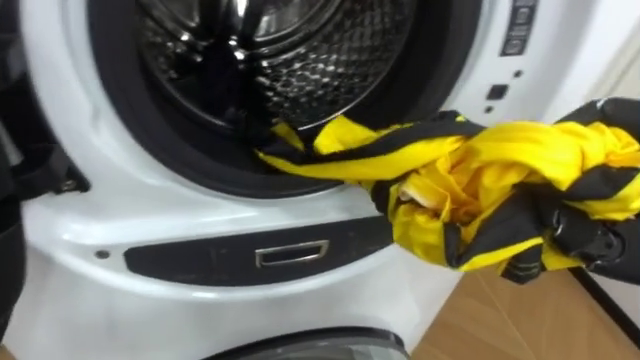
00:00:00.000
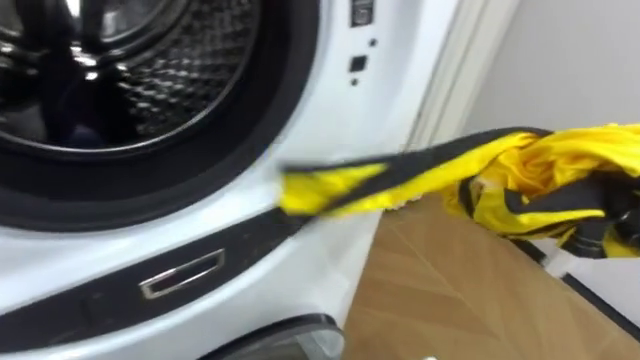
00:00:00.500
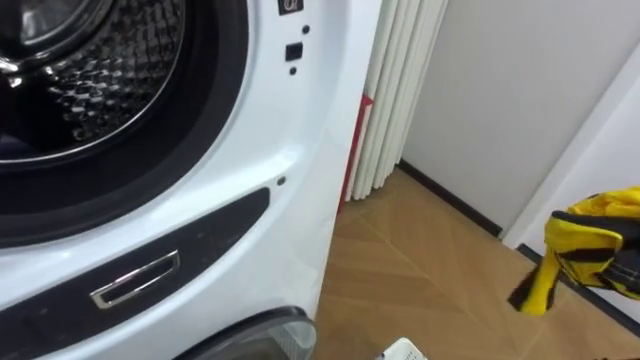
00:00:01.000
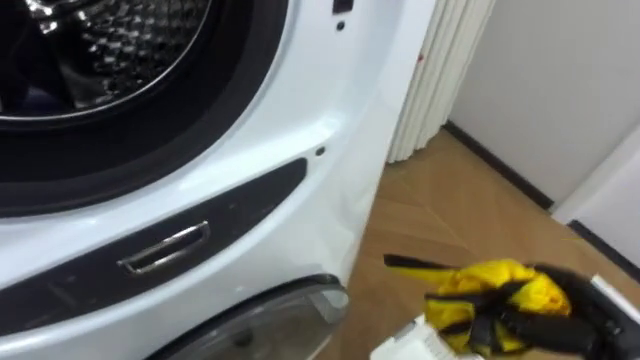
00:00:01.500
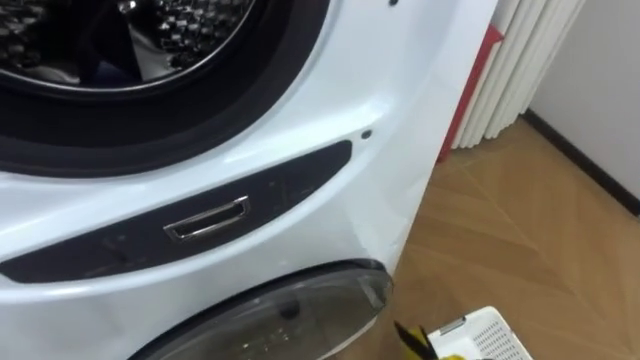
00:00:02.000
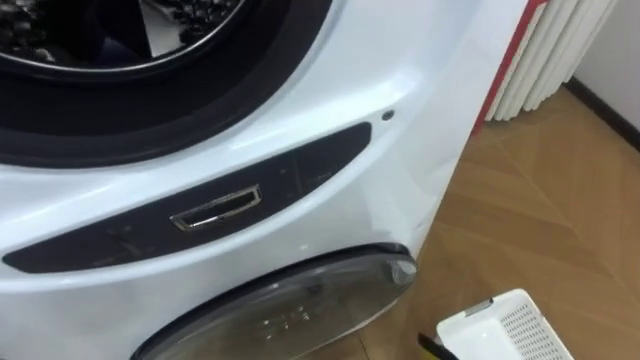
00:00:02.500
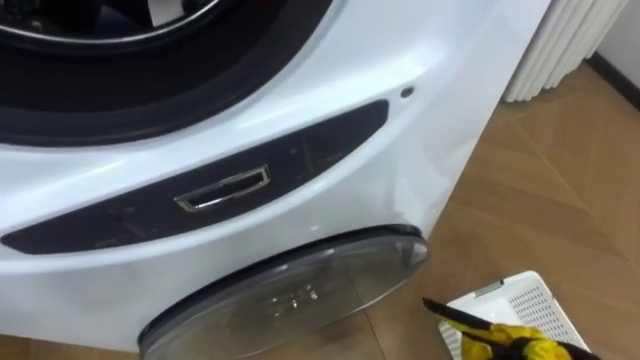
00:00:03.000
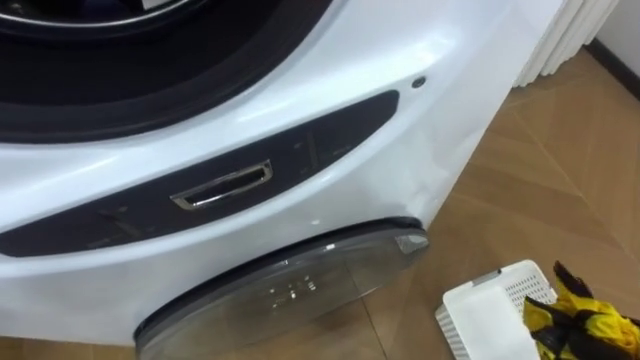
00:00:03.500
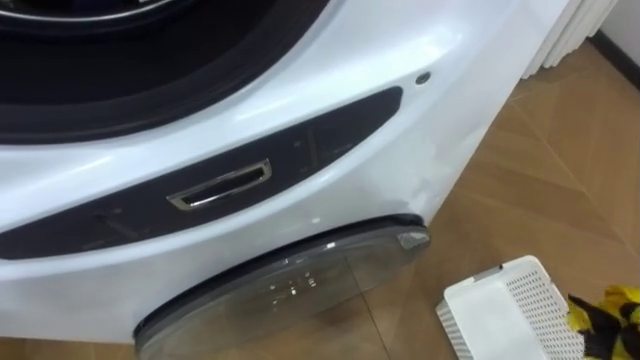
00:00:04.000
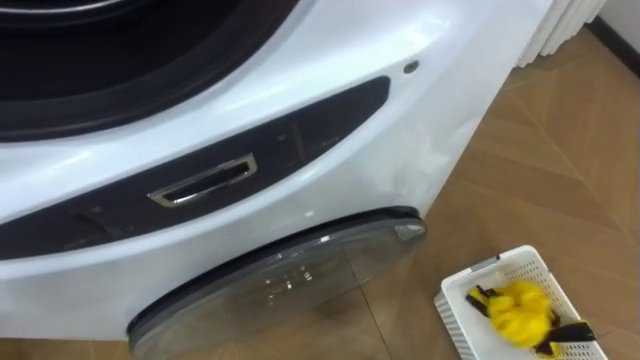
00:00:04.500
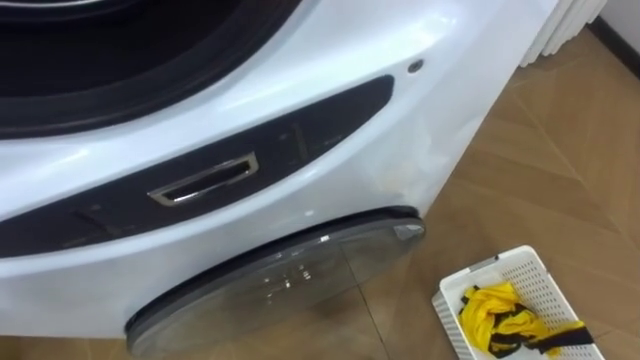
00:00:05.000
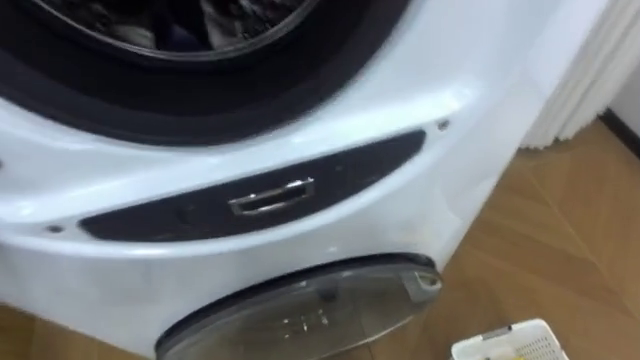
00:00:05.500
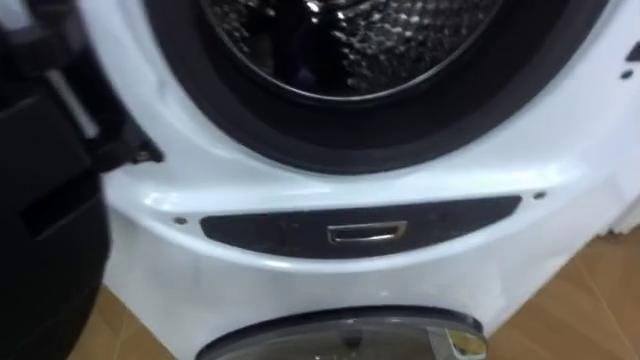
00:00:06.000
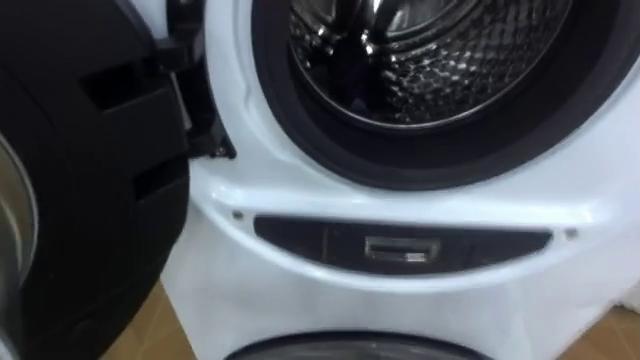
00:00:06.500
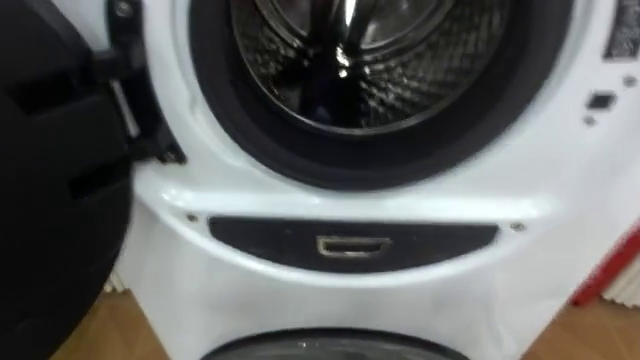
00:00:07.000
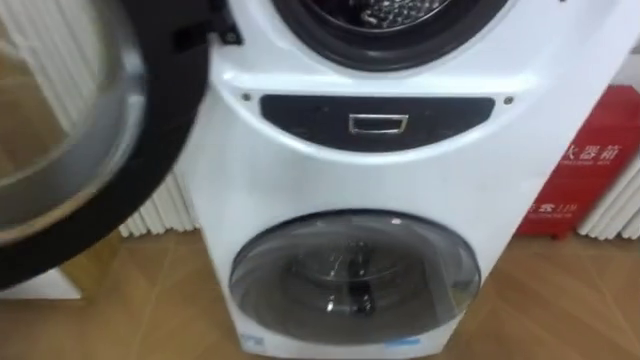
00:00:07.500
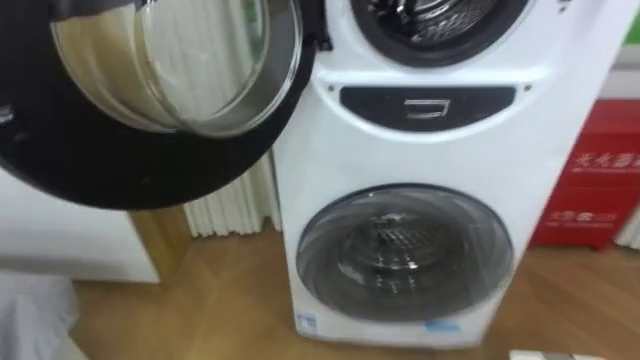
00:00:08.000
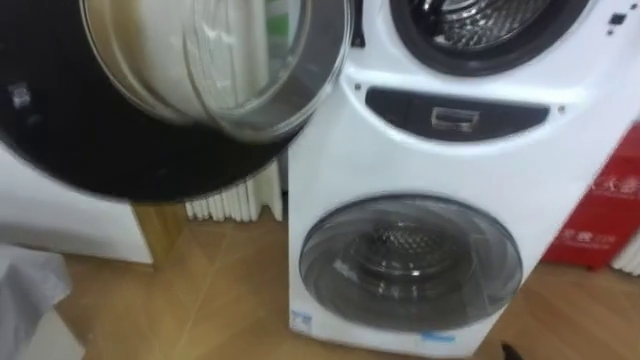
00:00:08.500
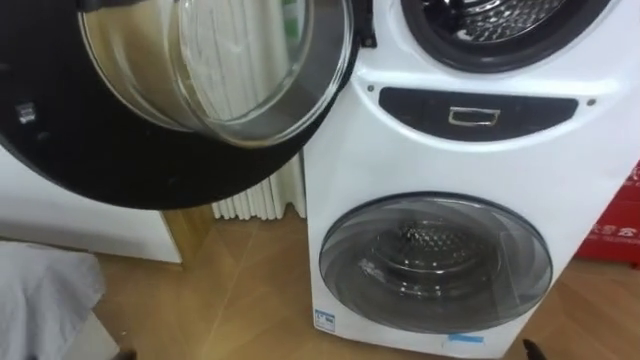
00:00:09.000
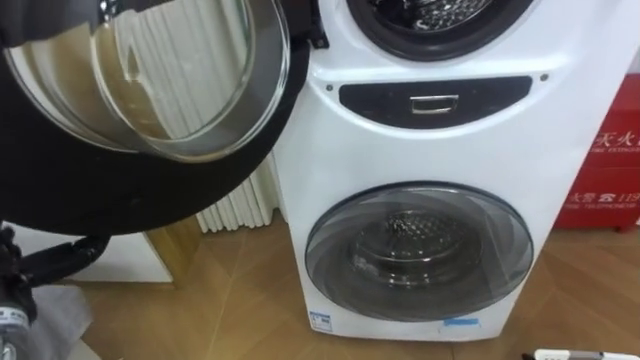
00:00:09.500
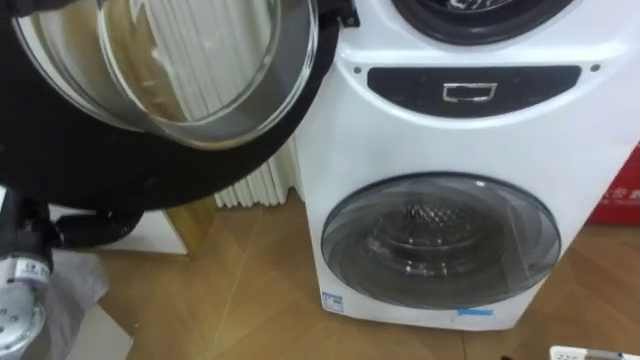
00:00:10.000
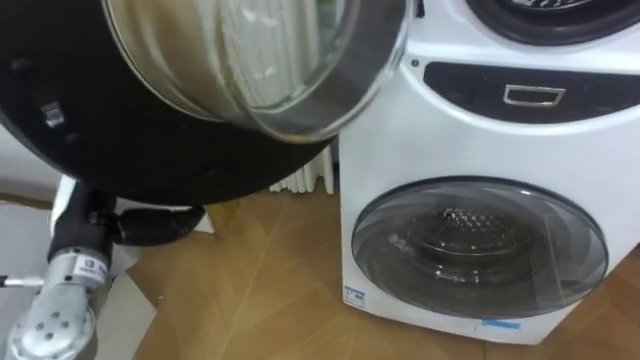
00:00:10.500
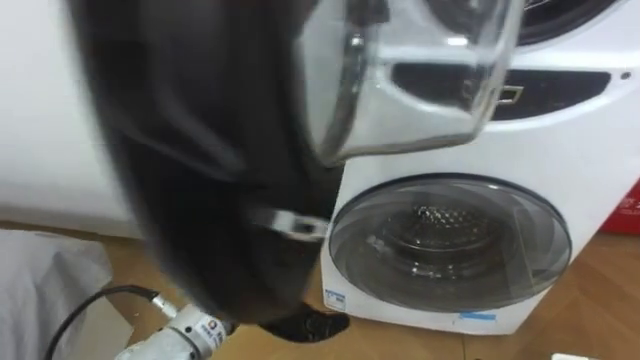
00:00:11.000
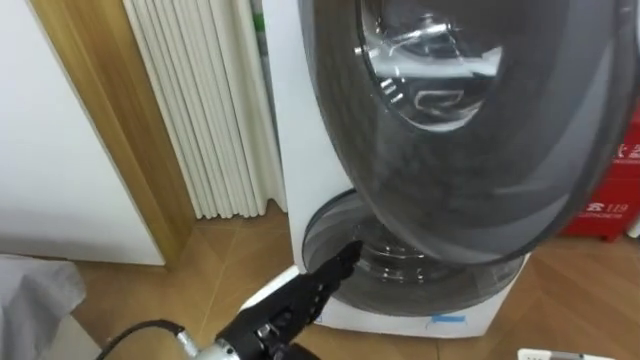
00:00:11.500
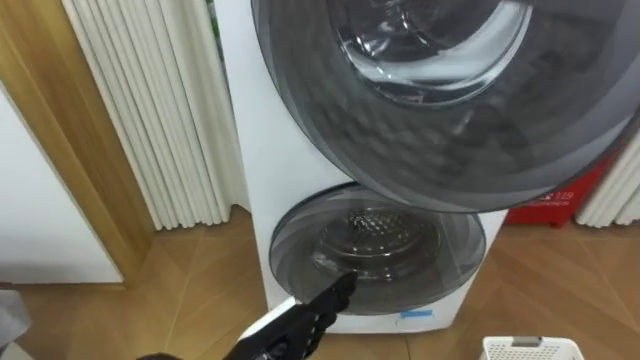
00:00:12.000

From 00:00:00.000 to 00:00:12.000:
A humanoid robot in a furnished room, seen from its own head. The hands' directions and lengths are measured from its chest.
Task of the whole recording: Open the washing machine door, take out the yellow clothes, place them in the box on the right, and close the washing machine door.
From 00:00:10.000 to 00:00:12.000: The left hand travels to the right by some 25 cm.

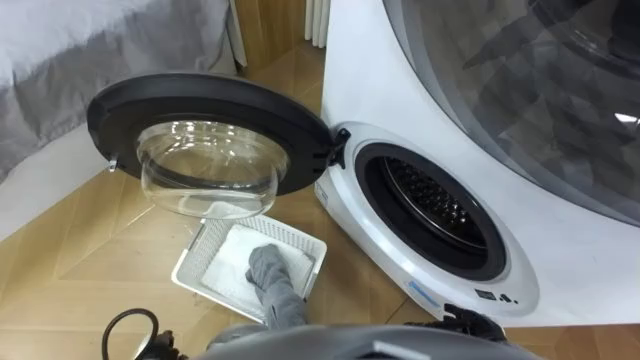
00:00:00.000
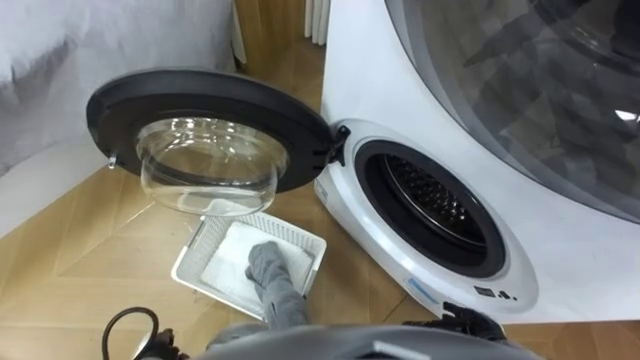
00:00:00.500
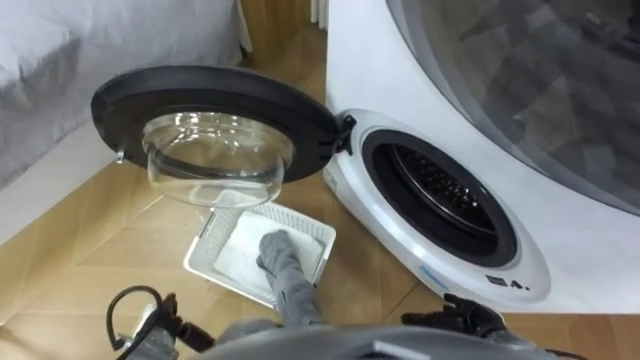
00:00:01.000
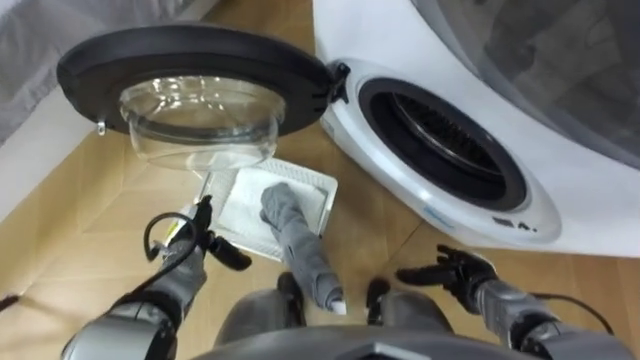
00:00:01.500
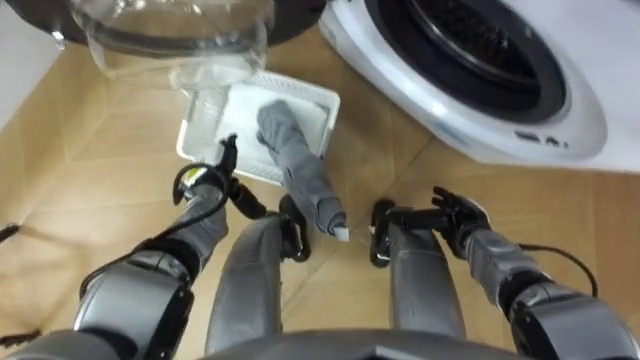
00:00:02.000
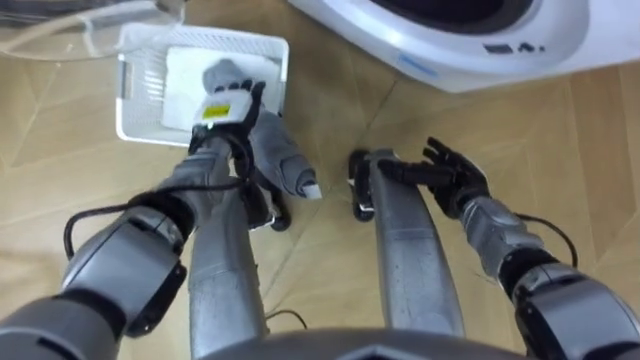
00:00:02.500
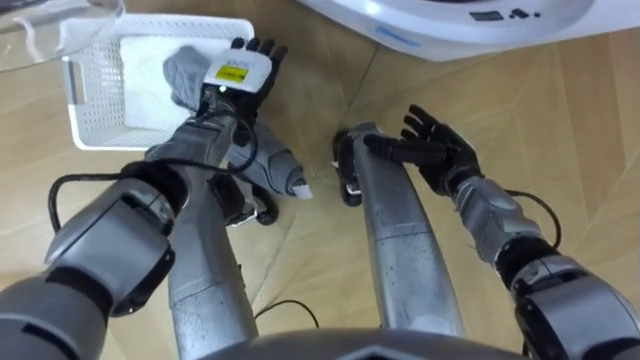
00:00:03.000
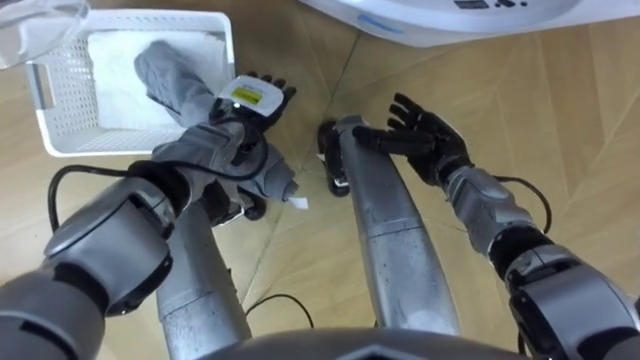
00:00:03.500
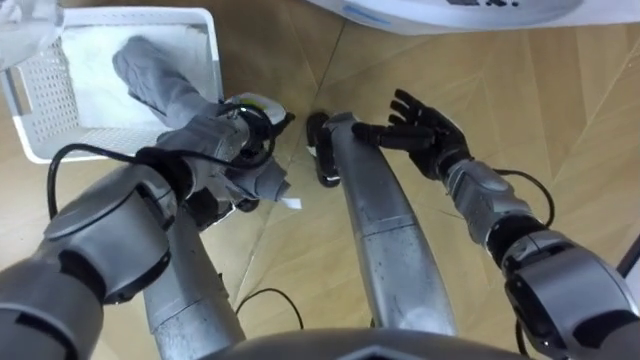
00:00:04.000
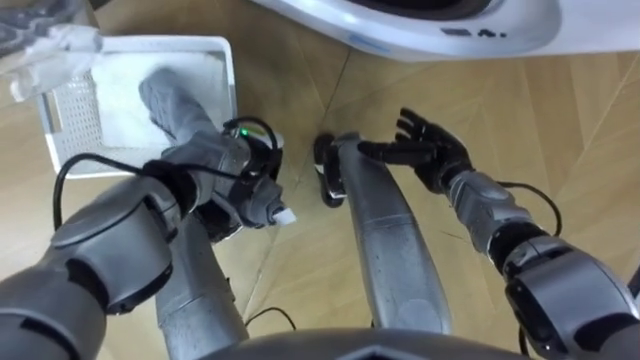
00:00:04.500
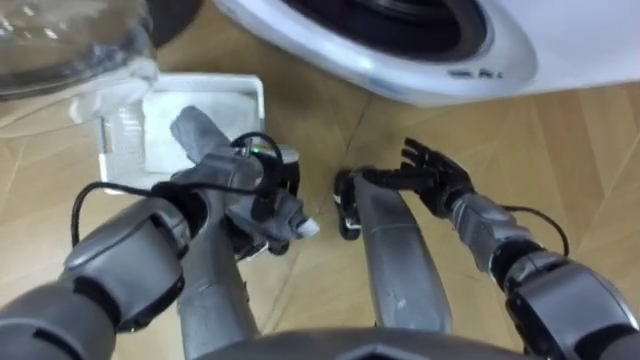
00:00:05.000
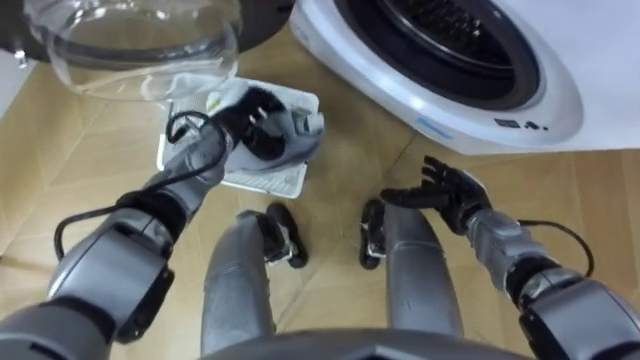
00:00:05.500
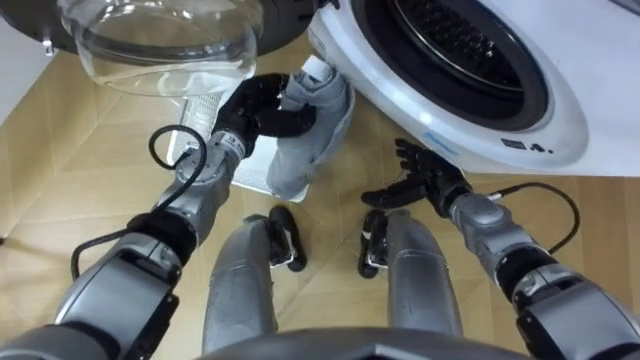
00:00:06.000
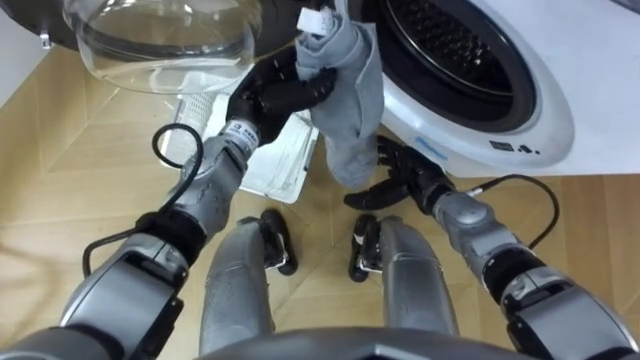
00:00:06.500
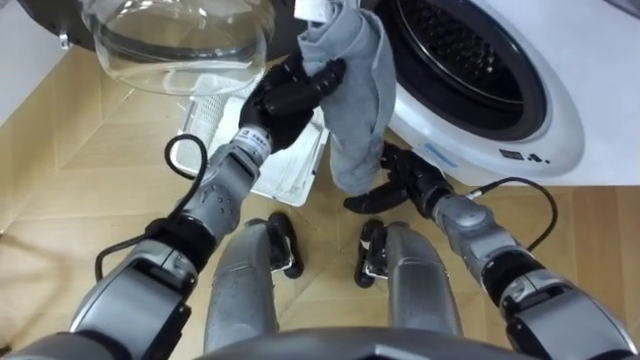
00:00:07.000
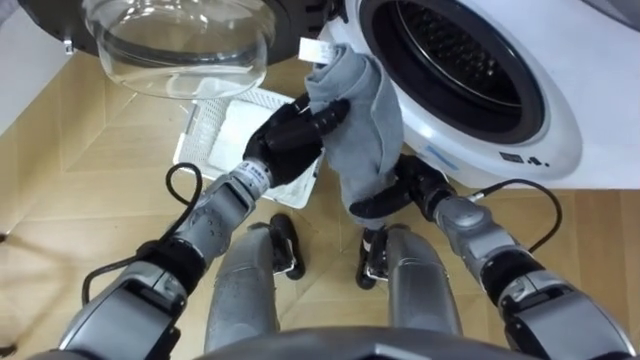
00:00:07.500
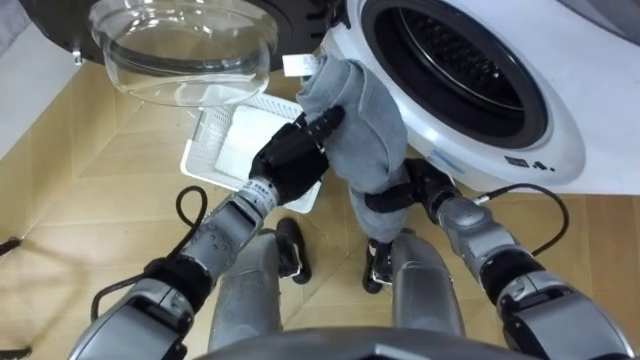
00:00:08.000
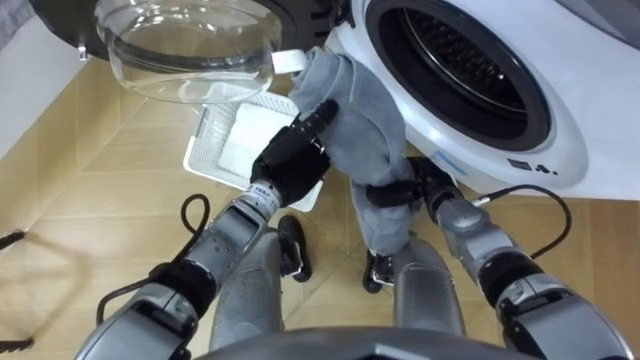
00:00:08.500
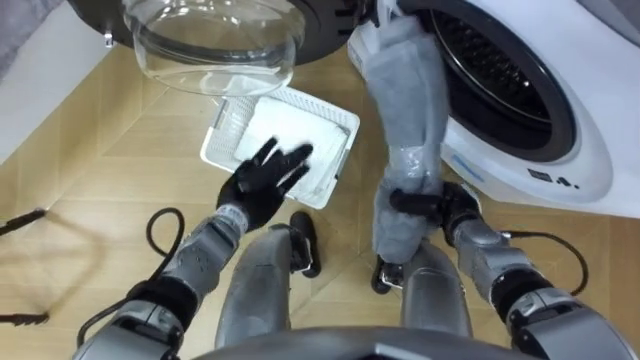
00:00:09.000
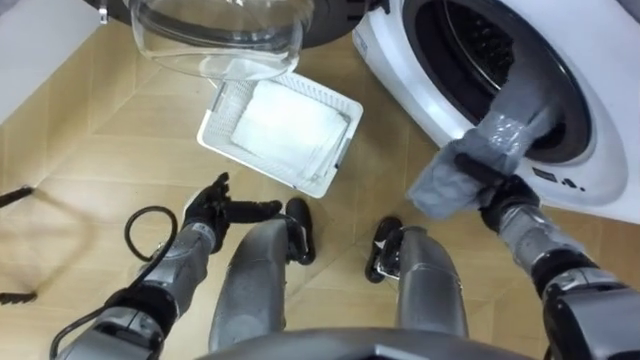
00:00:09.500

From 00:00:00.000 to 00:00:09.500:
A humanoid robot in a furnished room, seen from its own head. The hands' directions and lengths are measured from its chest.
Task of the whole recording: Take the towel from the basket and put it into the washing machine.
From 00:00:02.000 to 00:00:04.000: The right hand heads forward, upward and to the left, covering roughly 15 cm. Meanwhile the left hand heads to the right, forward and upward, covering approximately 10 cm.
From 00:00:04.000 to 00:00:05.500: The left hand closes its fingers; the right hand moves backward and downward, about 10 cm.
From 00:00:05.500 to 00:00:07.500: The right hand moves to the left, some 5 cm; the left hand is displaced to the right by roughly 10 cm.
From 00:00:07.500 to 00:00:09.500: The right hand moves to the right, some 15 cm, and closes its fingers; the left hand is displaced to the left, downward and backward by approximately 20 cm, and opens.
